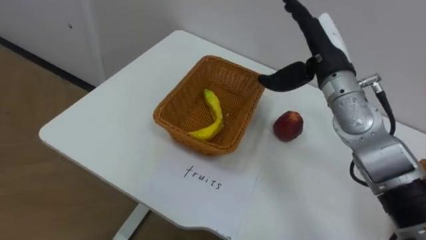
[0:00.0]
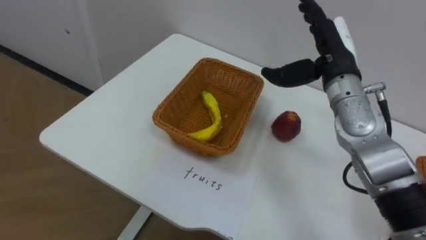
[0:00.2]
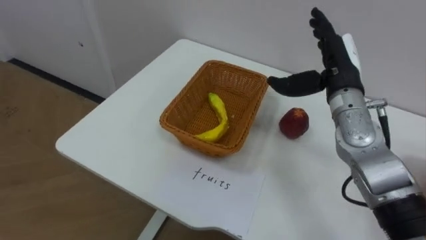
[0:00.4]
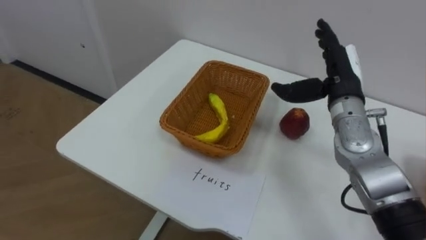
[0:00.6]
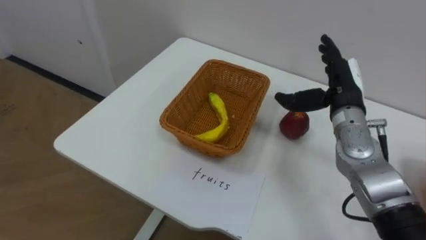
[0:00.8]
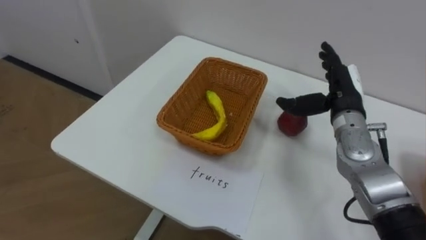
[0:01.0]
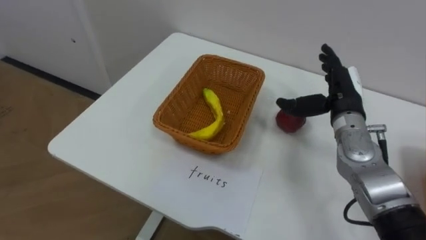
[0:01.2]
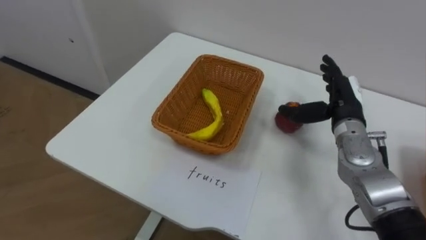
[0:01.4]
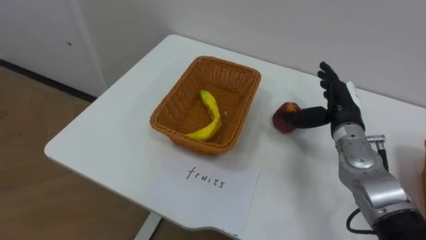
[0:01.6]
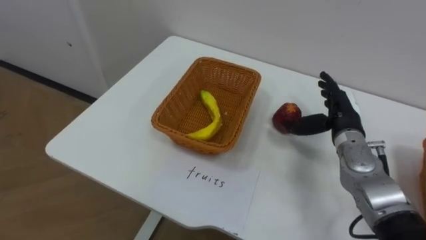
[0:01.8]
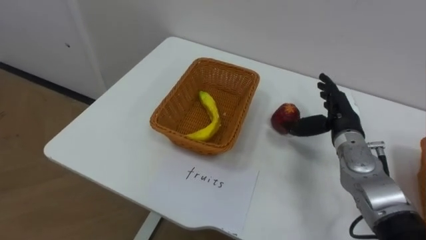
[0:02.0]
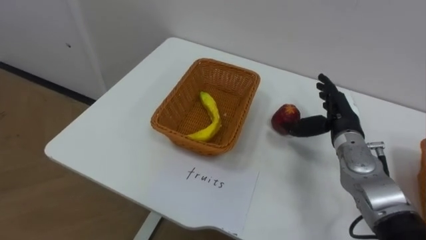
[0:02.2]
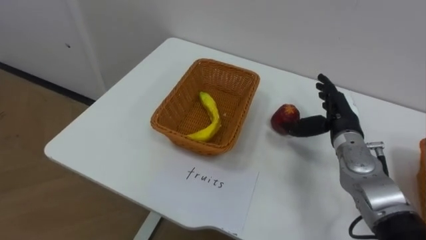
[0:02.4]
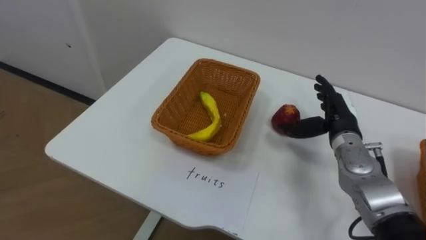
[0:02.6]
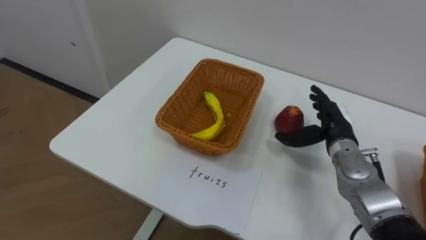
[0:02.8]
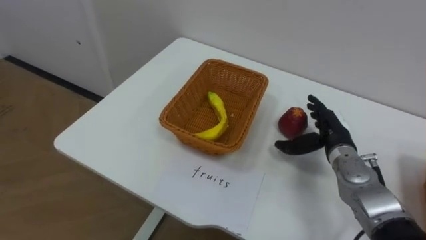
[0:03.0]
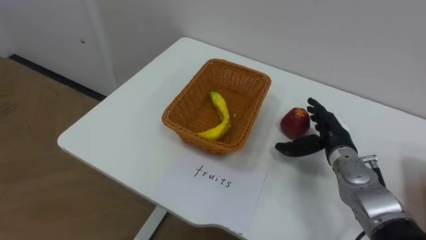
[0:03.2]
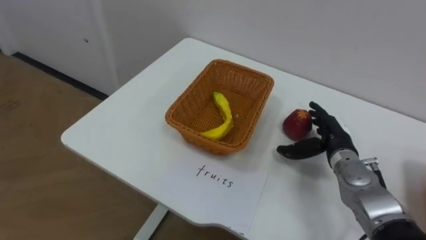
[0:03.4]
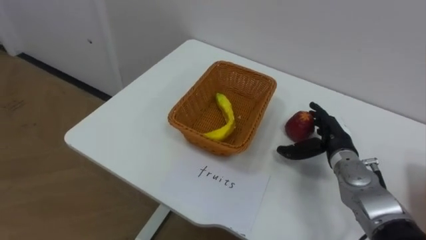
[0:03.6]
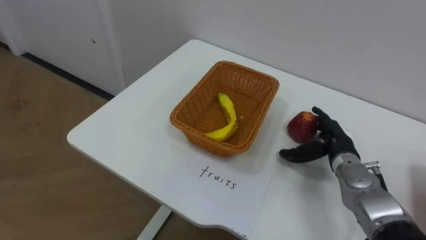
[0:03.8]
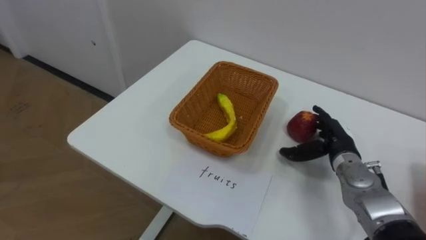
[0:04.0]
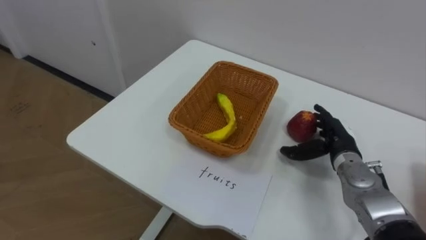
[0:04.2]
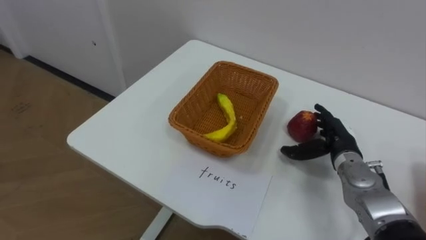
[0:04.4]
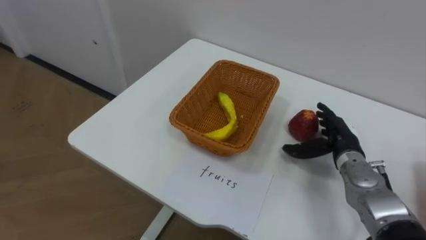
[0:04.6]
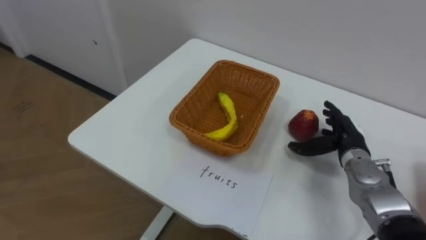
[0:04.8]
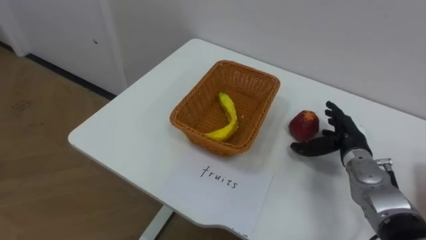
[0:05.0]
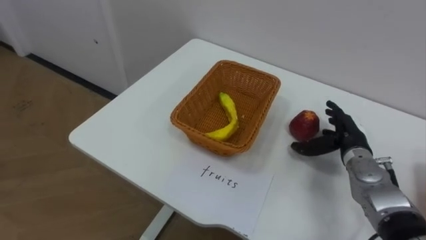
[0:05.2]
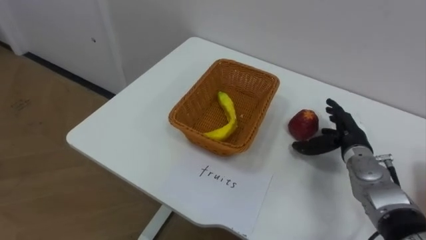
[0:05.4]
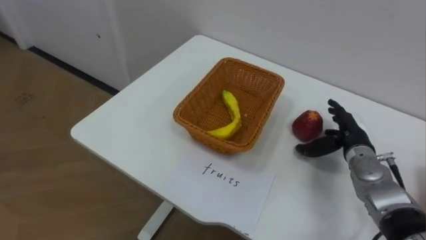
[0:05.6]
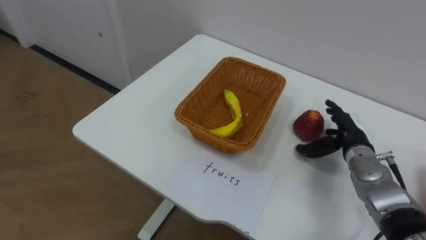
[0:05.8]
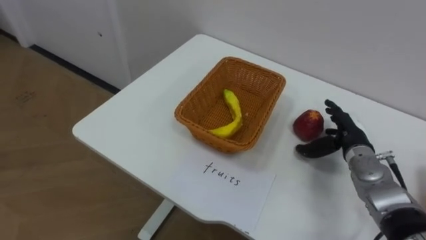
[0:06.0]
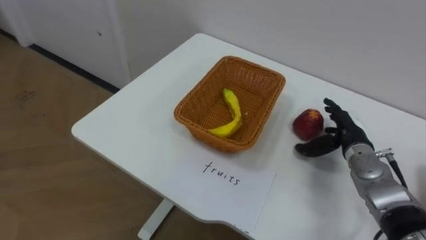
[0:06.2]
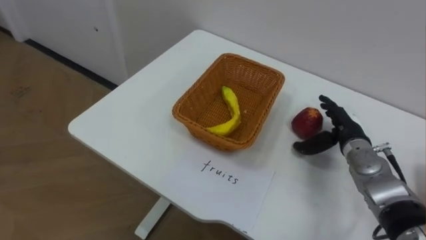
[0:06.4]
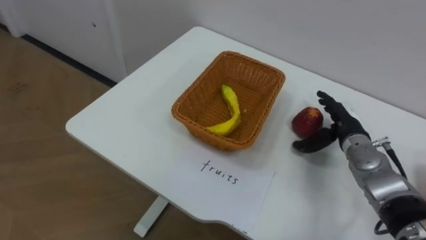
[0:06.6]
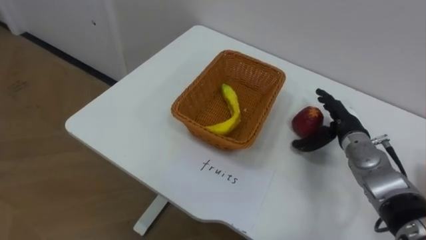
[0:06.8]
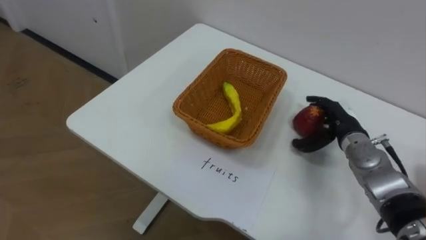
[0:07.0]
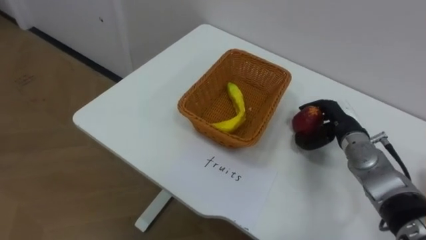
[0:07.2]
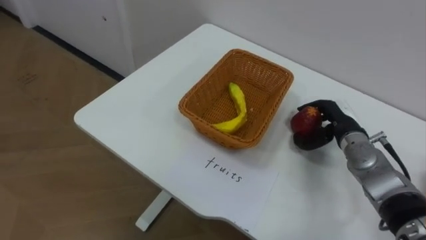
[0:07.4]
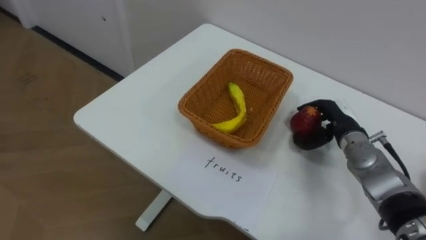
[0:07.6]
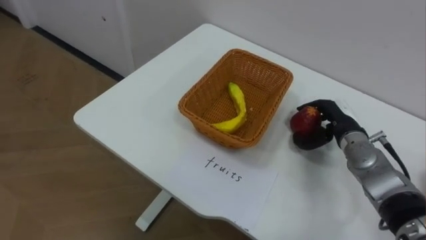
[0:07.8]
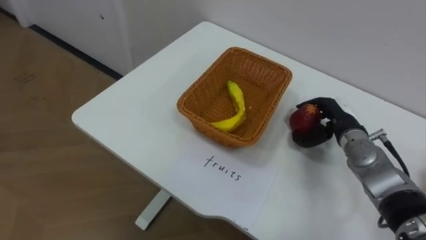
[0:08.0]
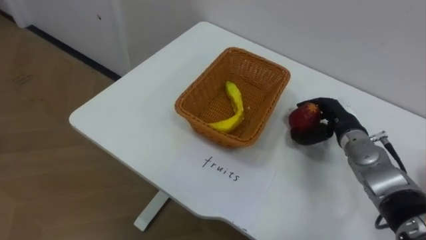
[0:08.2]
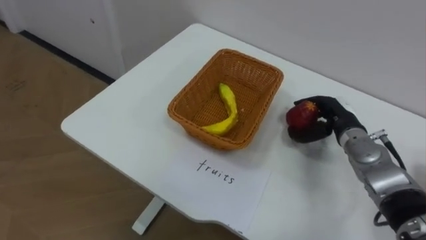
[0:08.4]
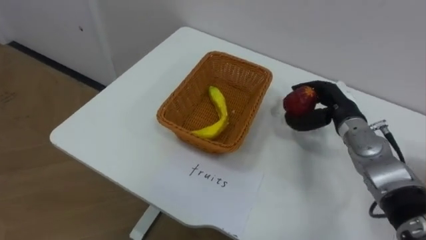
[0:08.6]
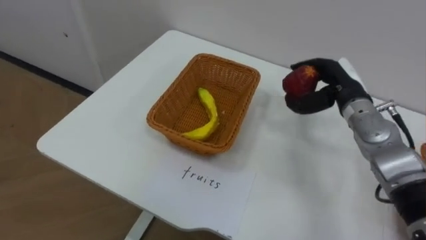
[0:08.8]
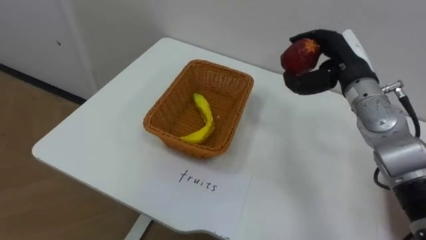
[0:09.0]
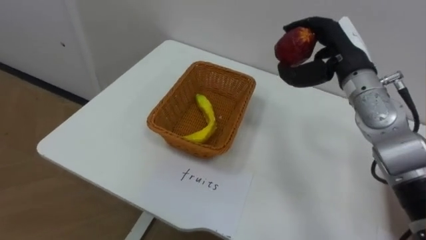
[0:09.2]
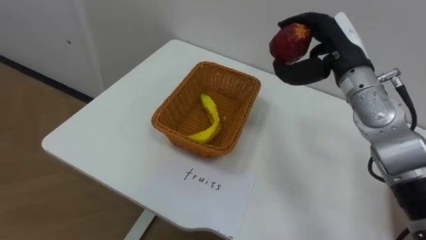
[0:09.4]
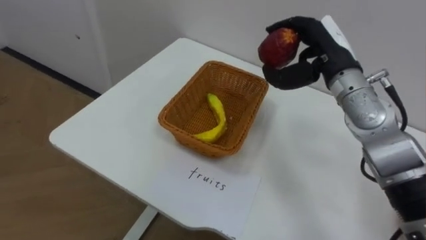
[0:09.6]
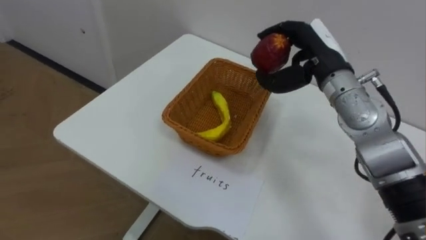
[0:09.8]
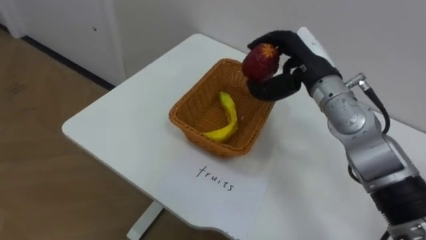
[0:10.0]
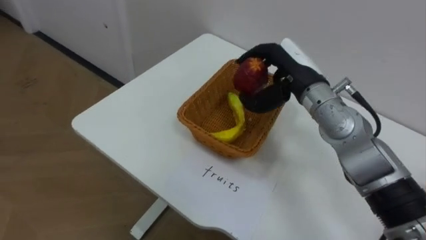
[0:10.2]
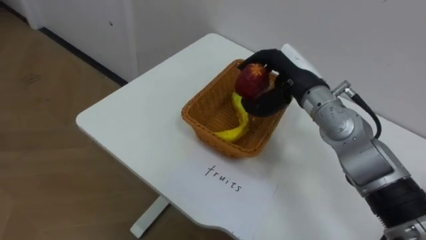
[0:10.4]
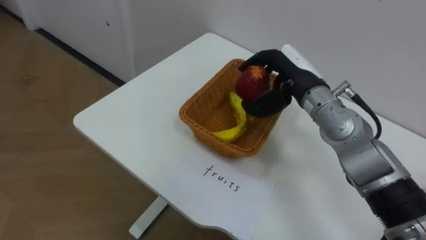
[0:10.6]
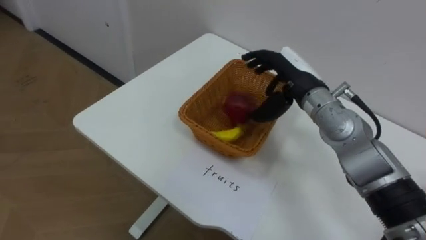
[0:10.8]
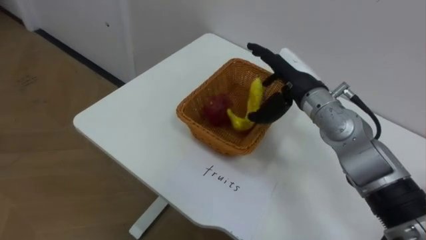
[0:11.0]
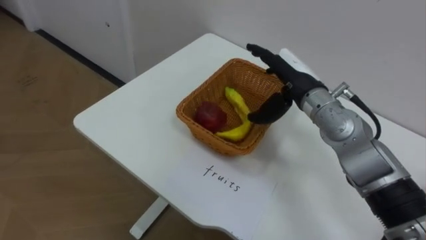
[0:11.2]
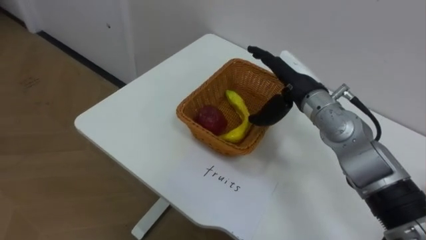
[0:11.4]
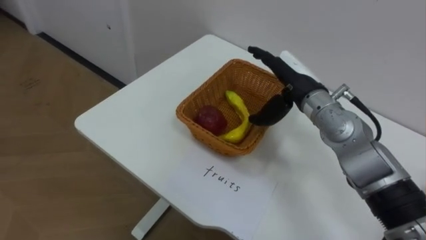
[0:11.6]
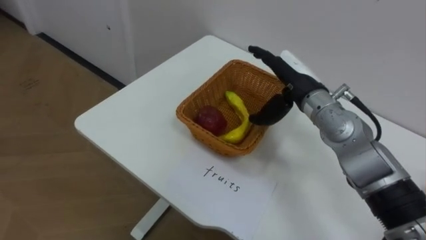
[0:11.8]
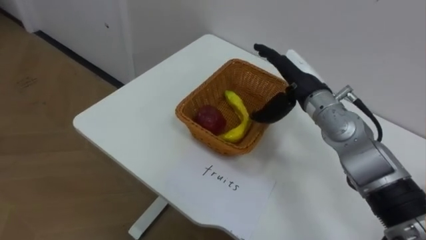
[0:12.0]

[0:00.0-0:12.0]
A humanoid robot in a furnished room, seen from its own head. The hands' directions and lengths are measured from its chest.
Task of the whole recording: Separate the items on the table and place them into the two baskets.
0:00.0 to 0:01.6: The right hand shifts roughly 15 cm downward and to the right.
0:01.6 to 0:03.0: The right hand heads downward, covering roughly 5 cm.
0:06.0 to 0:07.6: The right hand closes.
0:07.6 to 0:09.0: The right hand moves upward, roughly 15 cm.
0:09.0 to 0:10.4: The right hand goes about 10 cm to the left.
0:10.4 to 0:12.0: The right hand opens.

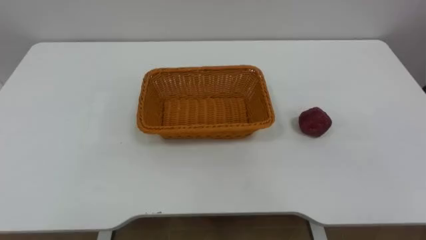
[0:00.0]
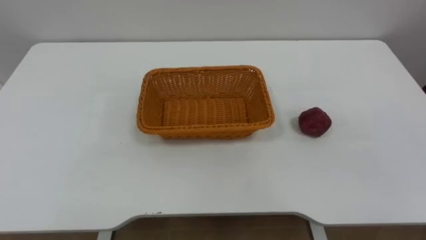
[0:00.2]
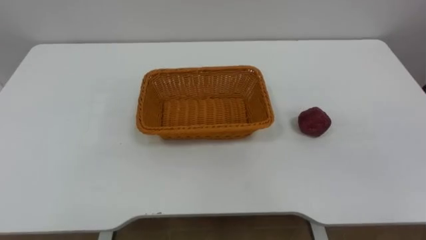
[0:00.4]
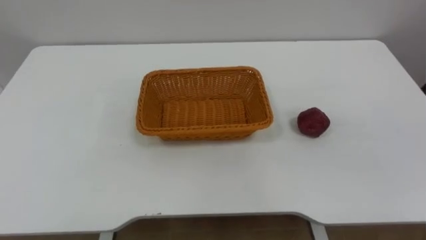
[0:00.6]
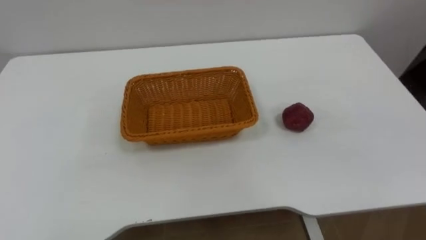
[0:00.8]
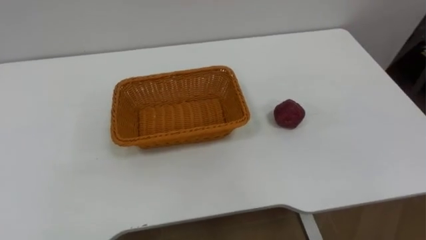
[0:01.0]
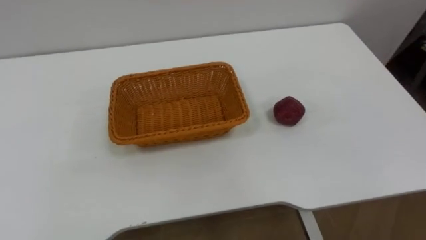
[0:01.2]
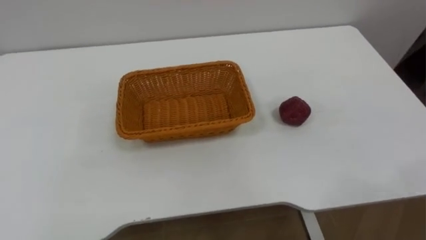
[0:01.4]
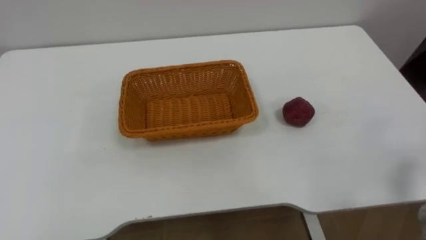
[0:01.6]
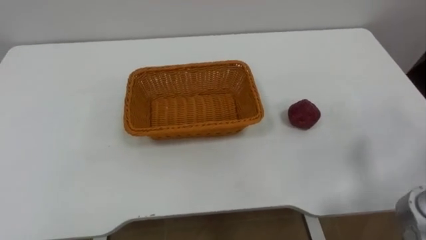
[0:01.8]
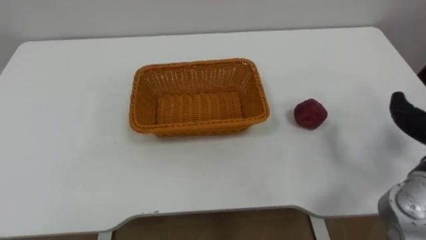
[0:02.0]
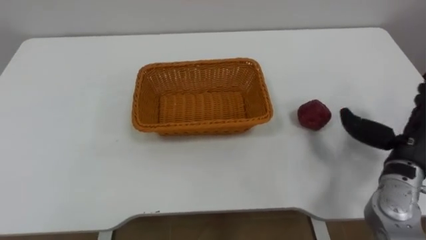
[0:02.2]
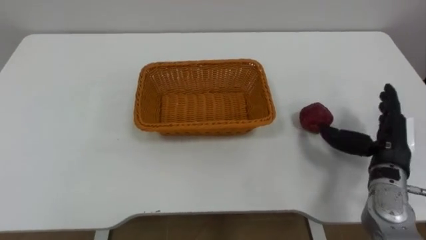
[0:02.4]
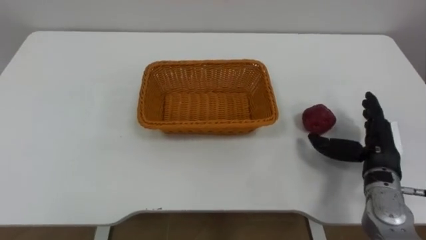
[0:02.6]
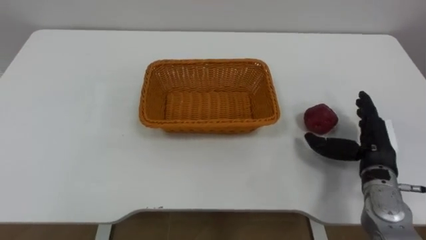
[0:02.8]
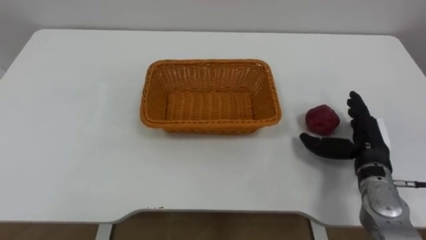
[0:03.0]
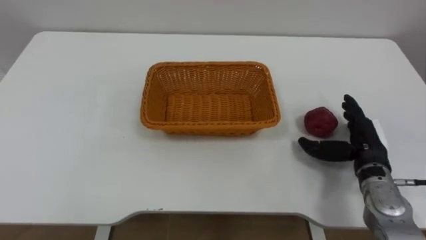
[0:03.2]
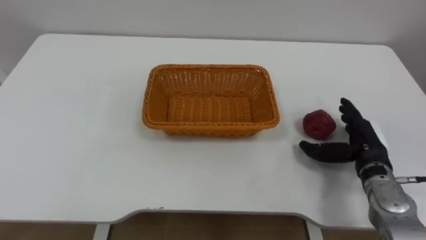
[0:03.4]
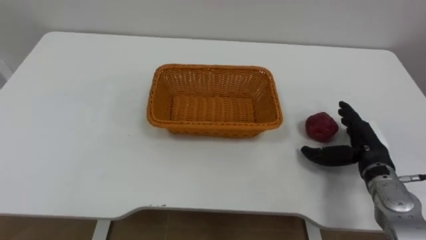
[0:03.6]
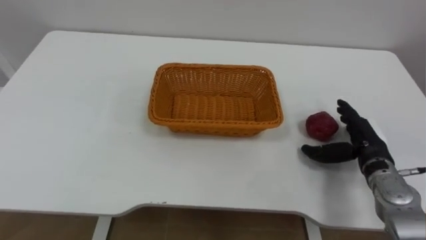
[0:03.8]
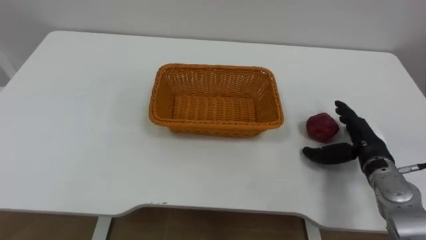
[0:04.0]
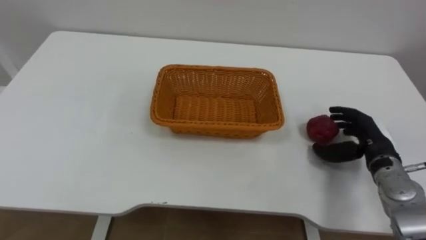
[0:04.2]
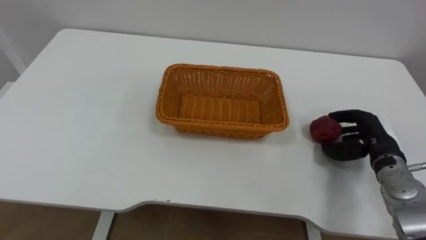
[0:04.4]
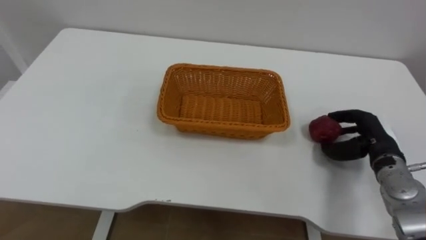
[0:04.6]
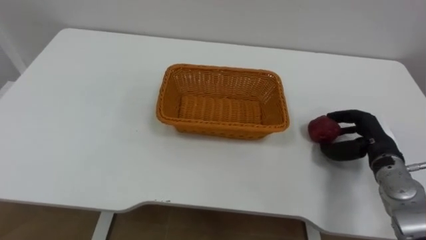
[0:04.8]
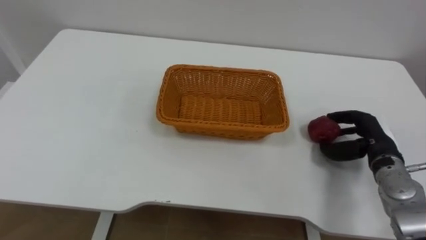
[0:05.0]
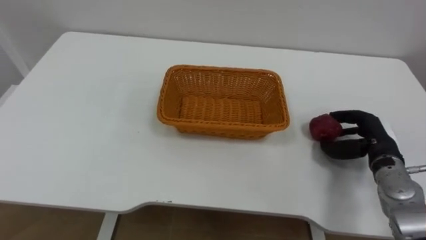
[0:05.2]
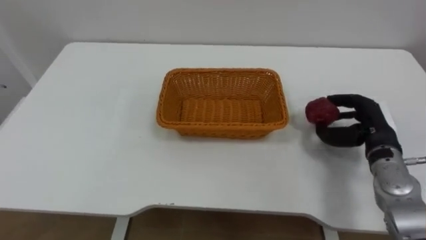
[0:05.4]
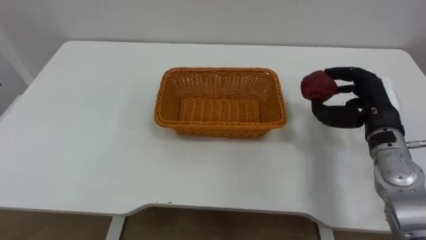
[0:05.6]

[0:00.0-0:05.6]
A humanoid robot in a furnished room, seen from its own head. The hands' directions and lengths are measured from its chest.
Task of the whole recording: Pick the apple and place it in the box.
0:04.2 to 0:05.6: The right hand goes about 10 cm upward, and closes.
